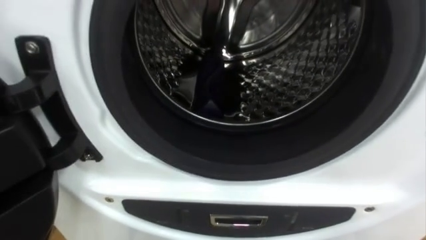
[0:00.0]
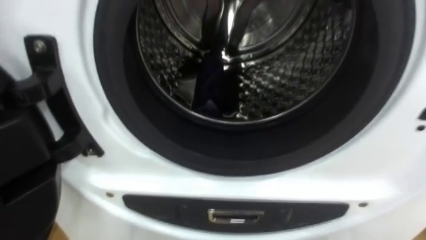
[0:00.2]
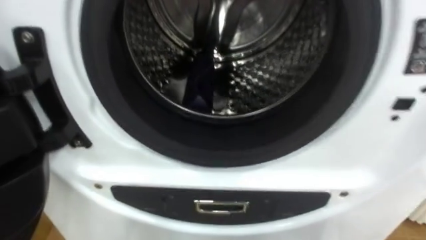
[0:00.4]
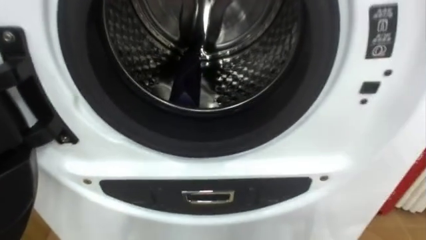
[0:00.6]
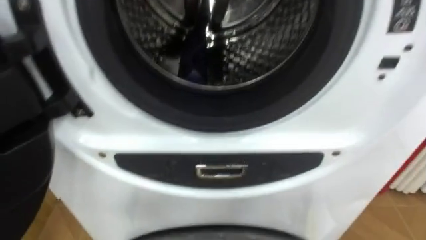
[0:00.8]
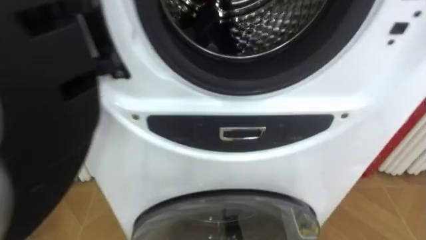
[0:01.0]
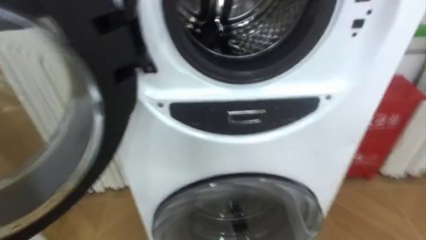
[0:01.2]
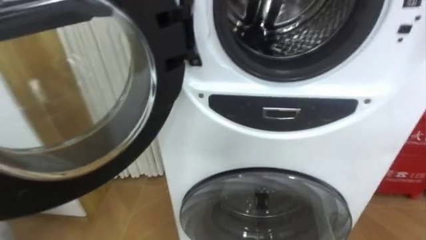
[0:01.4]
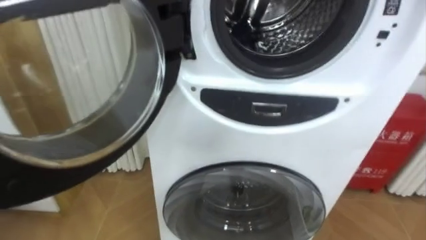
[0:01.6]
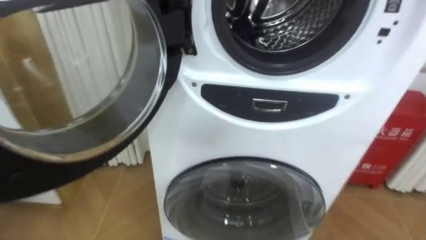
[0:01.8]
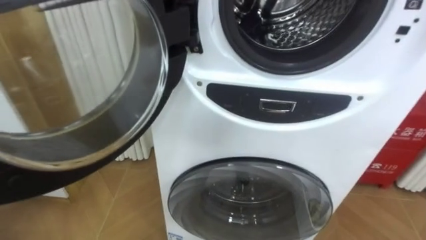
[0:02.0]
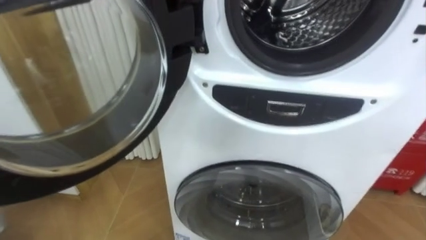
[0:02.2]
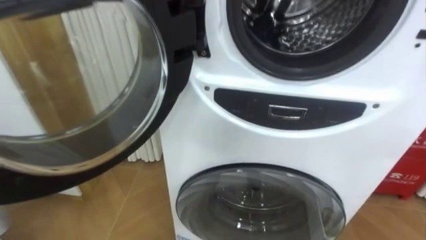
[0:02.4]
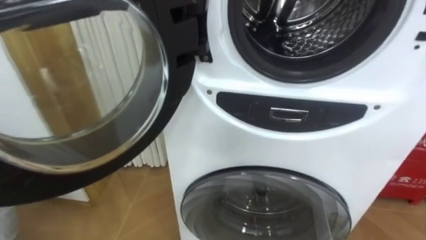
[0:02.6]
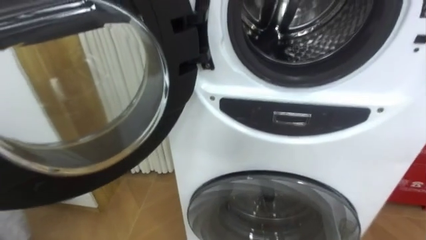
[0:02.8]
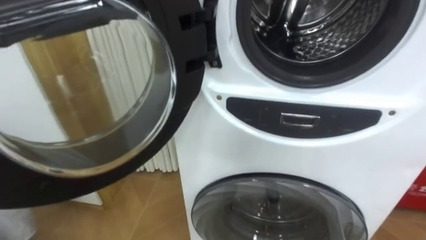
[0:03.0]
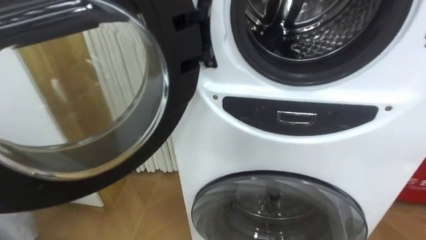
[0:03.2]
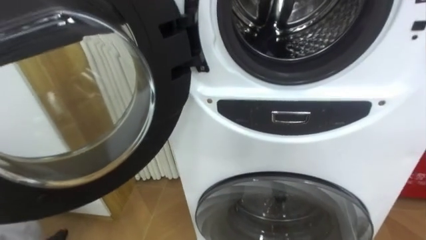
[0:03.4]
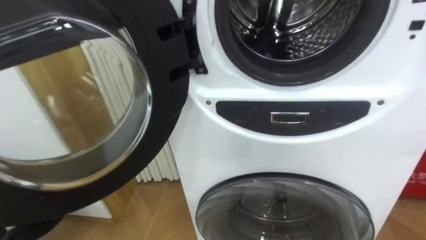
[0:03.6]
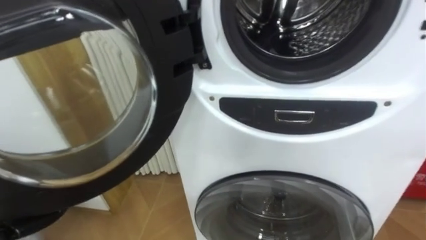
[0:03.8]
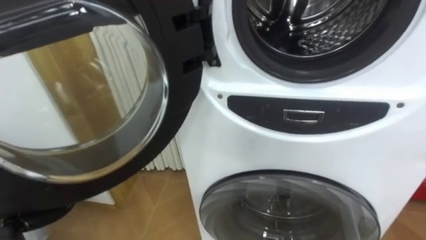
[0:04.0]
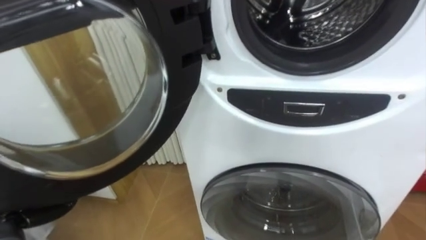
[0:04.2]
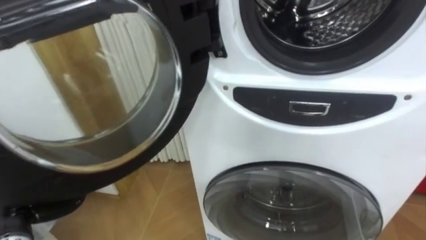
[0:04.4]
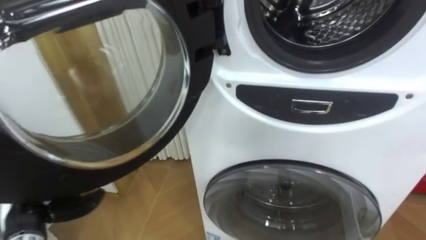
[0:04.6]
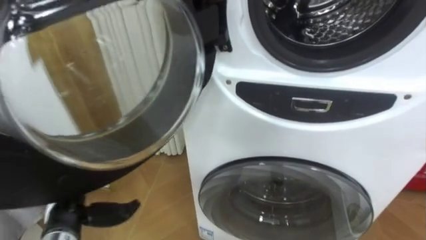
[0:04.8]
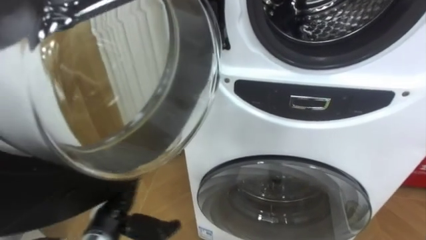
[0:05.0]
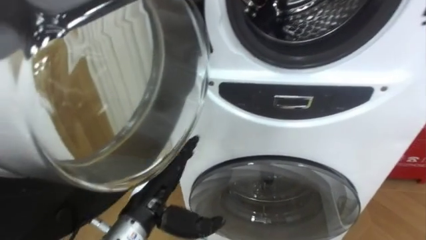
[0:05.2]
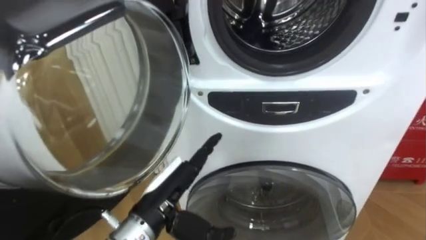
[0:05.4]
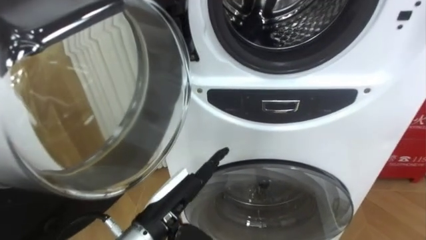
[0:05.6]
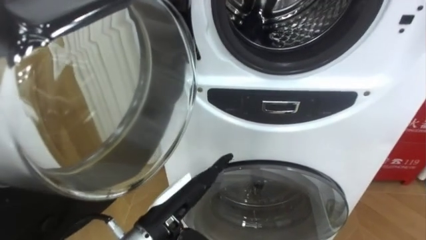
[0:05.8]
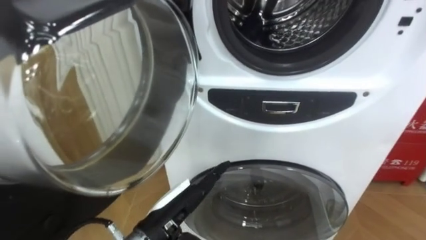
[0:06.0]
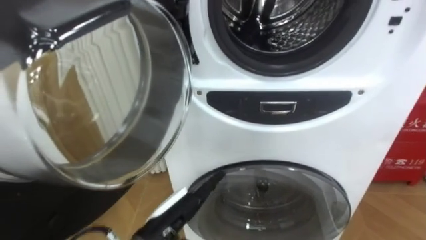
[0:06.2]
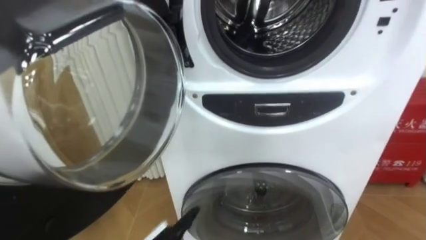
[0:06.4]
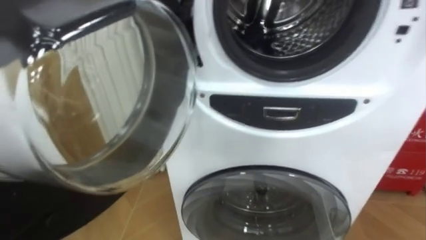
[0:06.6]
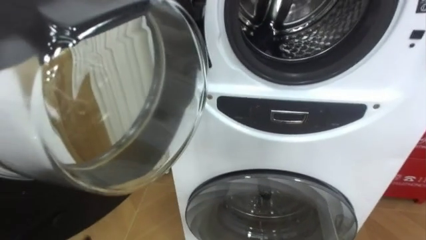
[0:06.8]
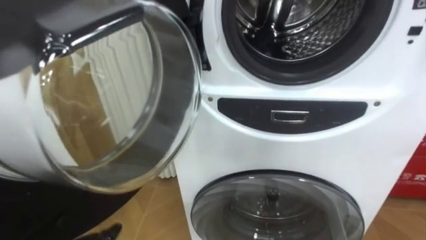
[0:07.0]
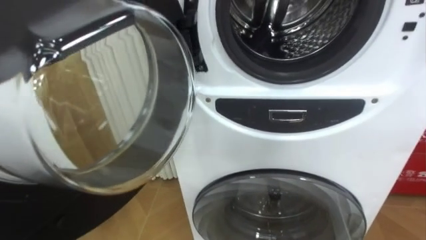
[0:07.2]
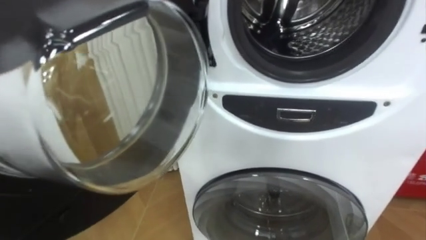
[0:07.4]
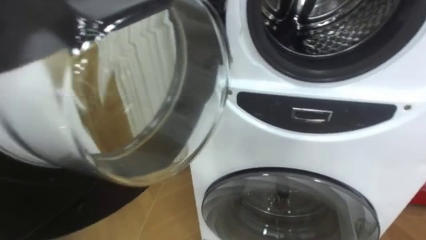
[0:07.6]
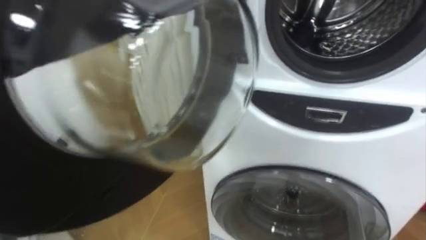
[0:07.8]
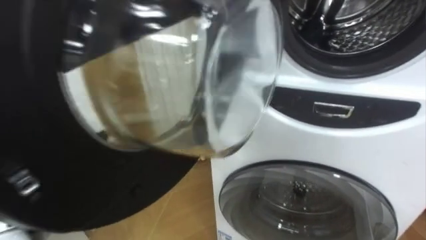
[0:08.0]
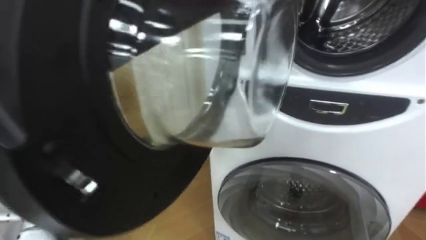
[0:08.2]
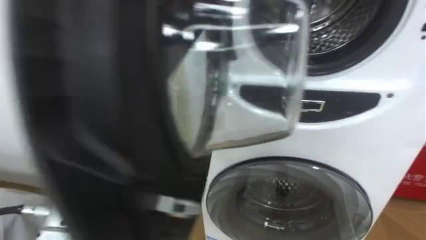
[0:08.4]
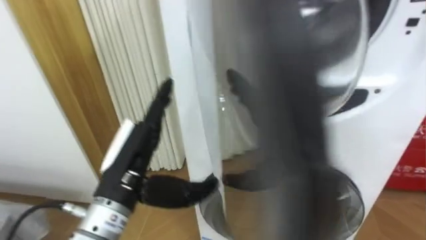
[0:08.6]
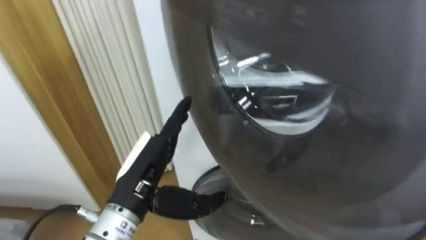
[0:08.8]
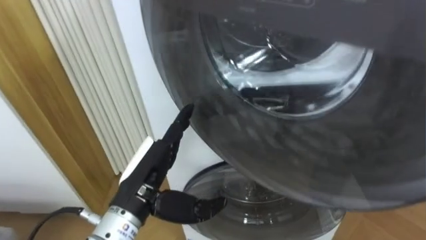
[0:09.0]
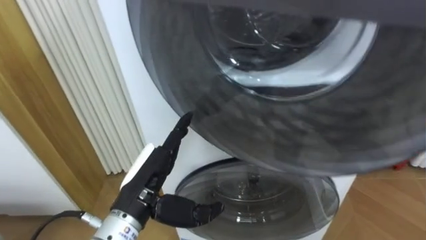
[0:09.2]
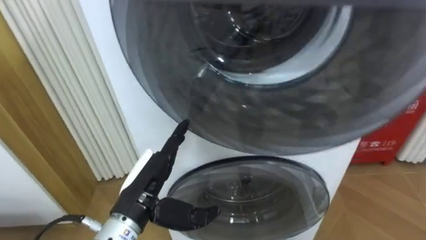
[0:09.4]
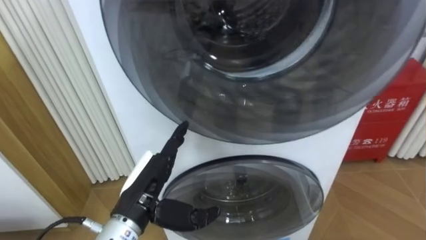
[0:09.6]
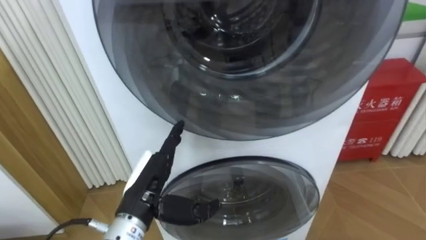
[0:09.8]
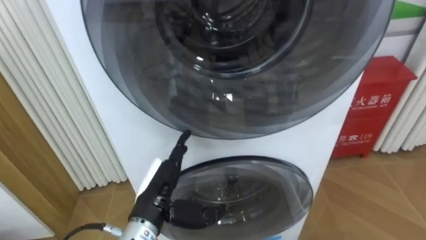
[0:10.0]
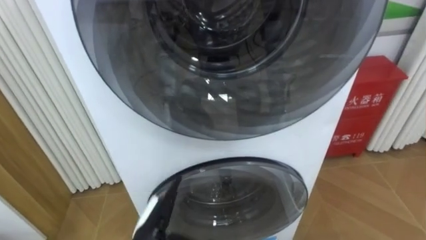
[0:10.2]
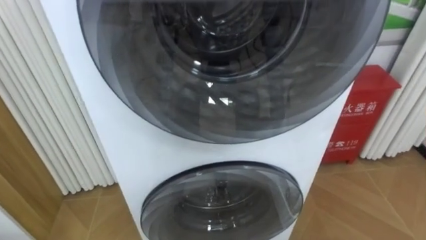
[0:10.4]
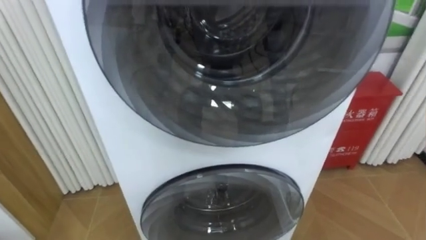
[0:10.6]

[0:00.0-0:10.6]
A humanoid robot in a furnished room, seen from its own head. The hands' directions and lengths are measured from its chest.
Task of the whole recording: Open the washing machine door, take out the yellow clothes, place them in the box on the right, and close the washing machine door.
0:04.6 to 0:06.0: The left hand goes some 25 cm to the right.

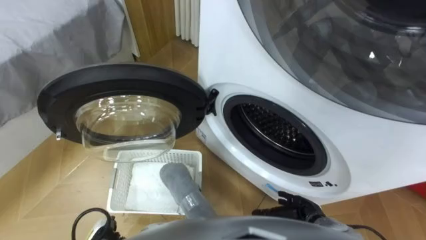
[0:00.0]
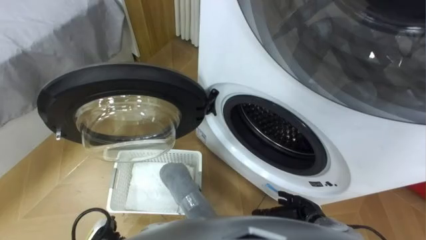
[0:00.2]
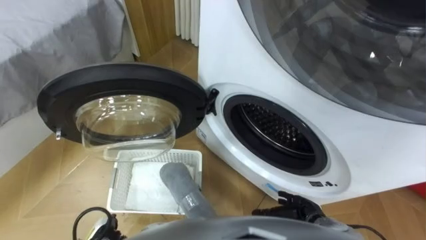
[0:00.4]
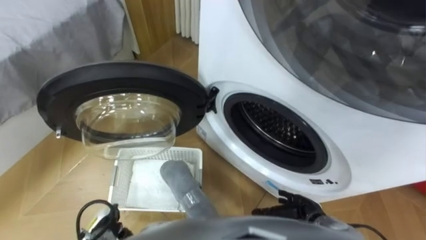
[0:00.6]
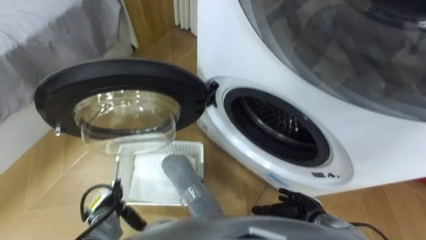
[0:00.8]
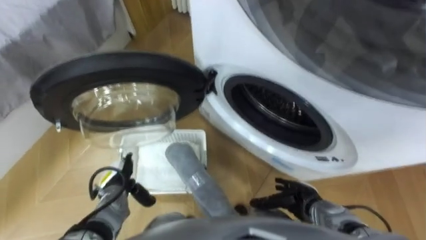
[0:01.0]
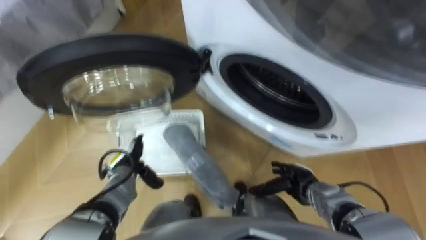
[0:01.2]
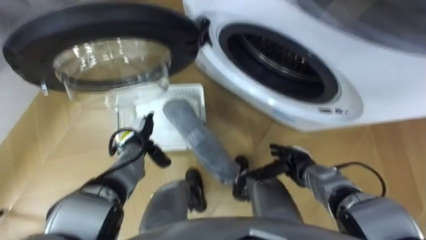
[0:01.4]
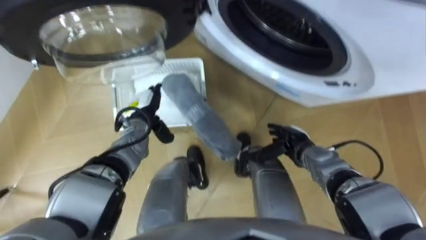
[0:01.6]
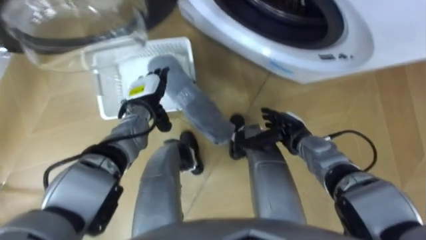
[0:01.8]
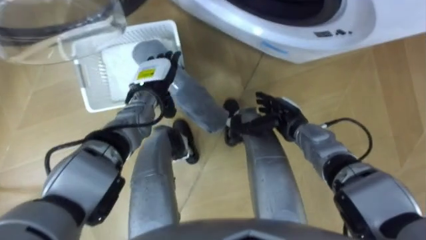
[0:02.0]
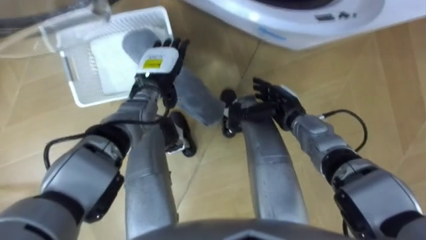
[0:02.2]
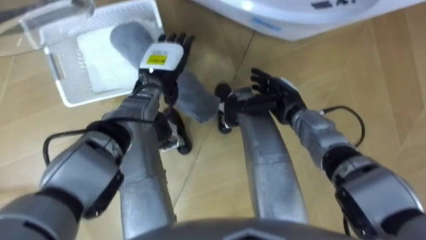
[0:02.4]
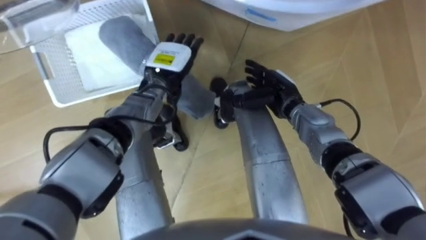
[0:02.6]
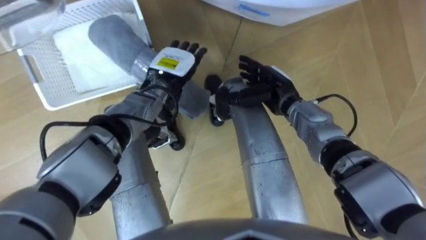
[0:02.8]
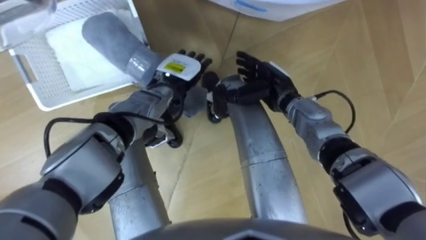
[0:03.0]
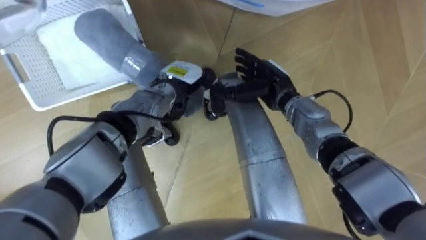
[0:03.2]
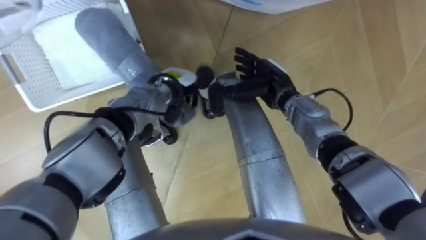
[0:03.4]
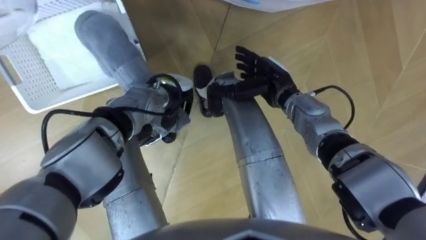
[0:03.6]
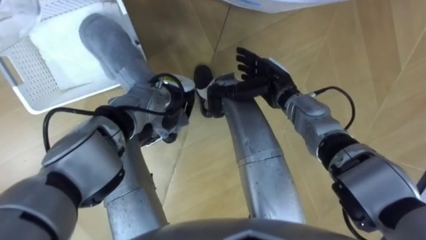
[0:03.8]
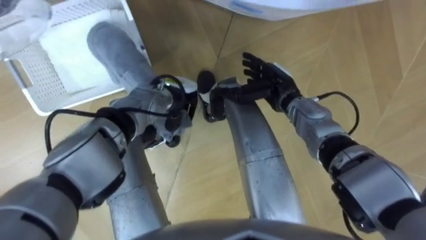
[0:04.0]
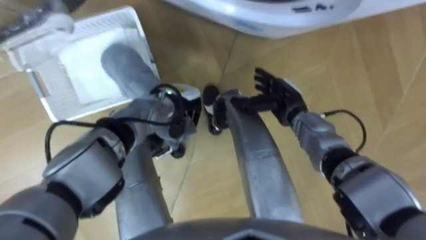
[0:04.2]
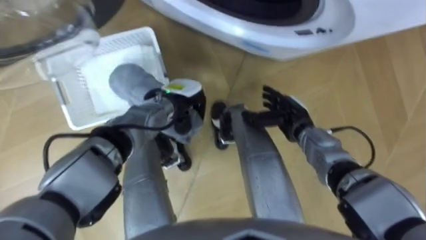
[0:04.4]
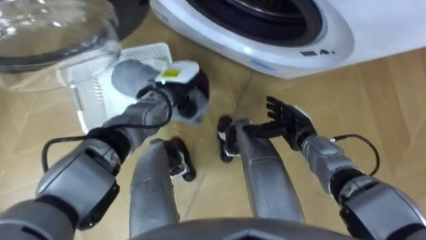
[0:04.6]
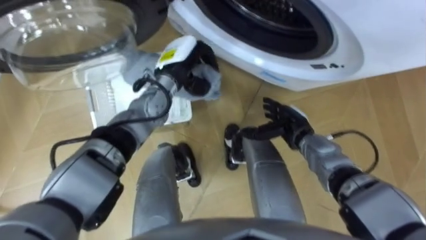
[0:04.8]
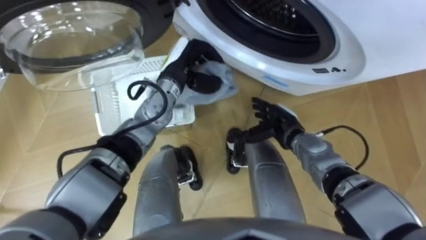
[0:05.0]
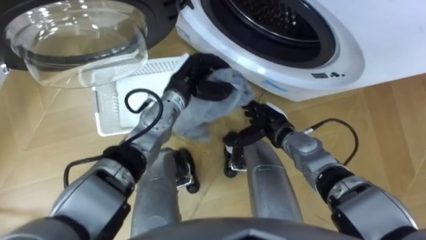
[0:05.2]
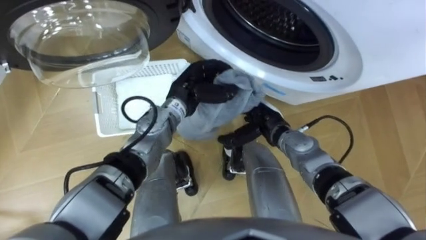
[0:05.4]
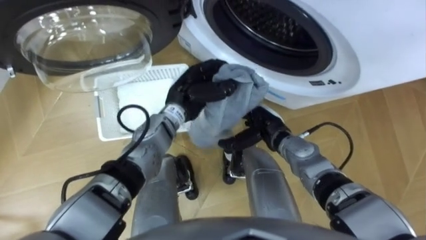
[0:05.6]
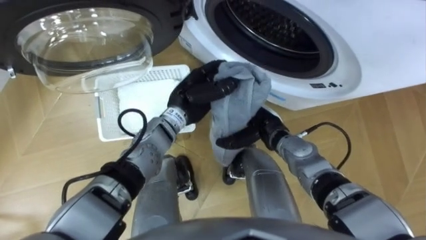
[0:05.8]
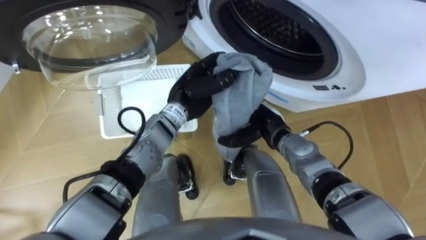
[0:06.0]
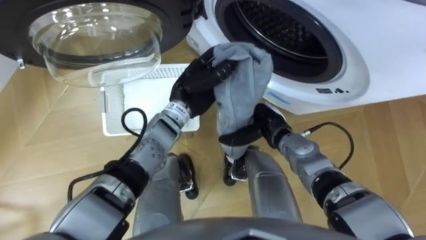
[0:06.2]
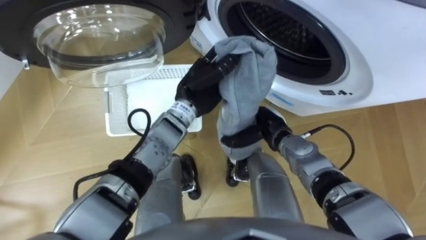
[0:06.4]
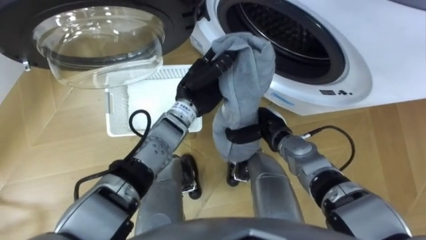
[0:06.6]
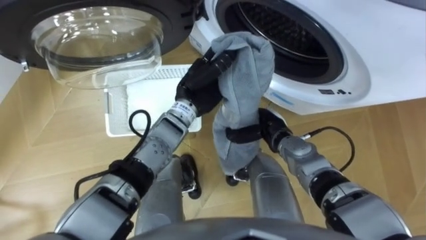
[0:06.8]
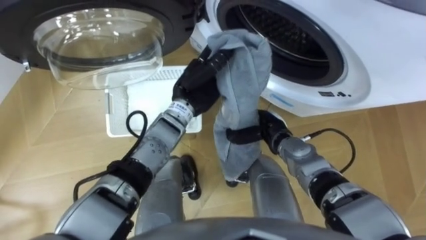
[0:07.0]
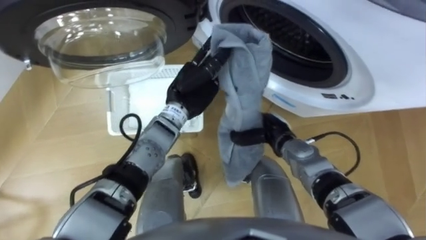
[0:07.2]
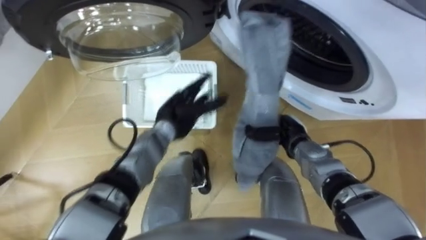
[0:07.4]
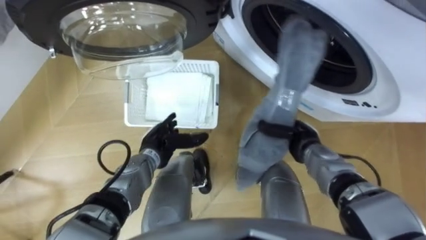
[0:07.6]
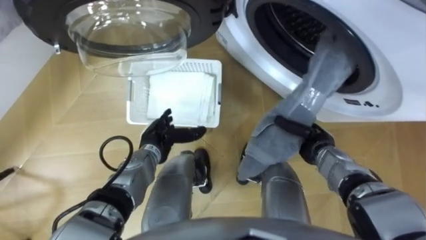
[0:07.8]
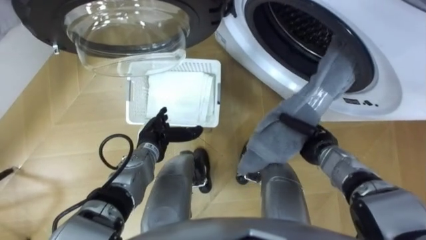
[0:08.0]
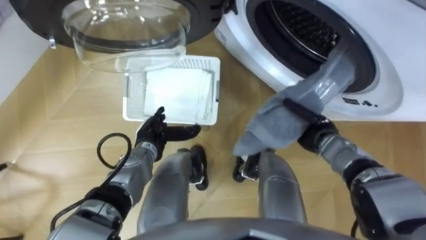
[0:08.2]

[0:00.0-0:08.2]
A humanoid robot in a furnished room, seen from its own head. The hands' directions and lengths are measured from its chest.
Task of the whole recording: Take the towel from the basket and put it into the washing machine.
0:01.6 to 0:03.2: The left hand is displaced to the right and upward by roughly 10 cm. The right hand shifts some 15 cm upward, forward and to the left.
0:03.2 to 0:05.0: The right hand is displaced downward and backward by some 10 cm. The left hand closes up.
0:05.0 to 0:06.6: The left hand ends up about 5 cm from where it was, while the right hand closes.
0:06.6 to 0:08.2: The left hand is displaced downward, to the left and backward by roughly 20 cm, and opens up, while the right hand goes about 10 cm to the right.
